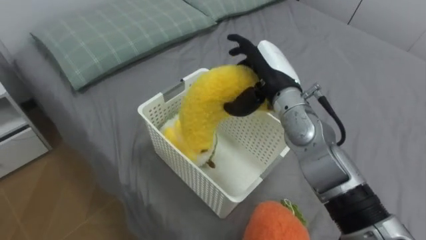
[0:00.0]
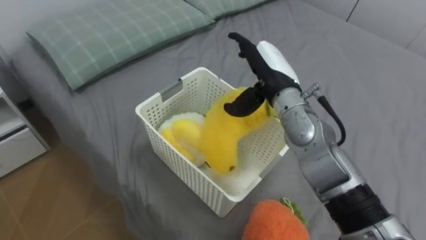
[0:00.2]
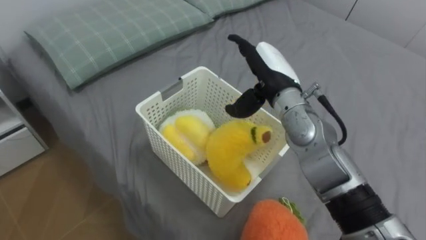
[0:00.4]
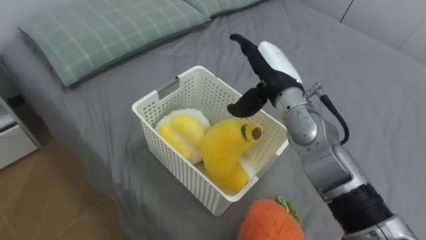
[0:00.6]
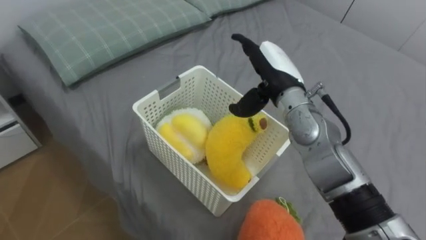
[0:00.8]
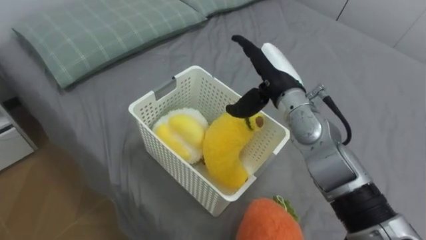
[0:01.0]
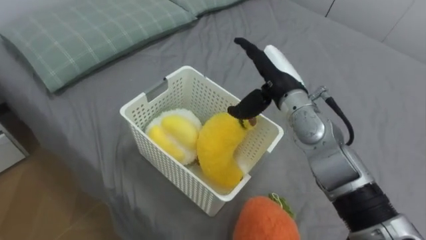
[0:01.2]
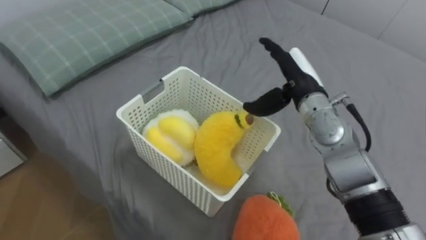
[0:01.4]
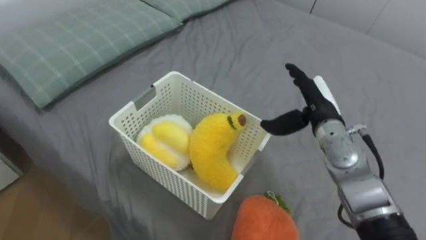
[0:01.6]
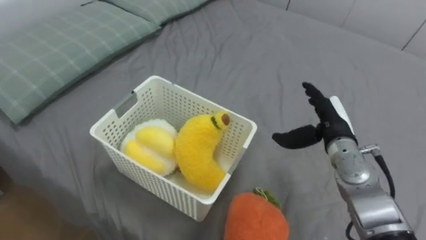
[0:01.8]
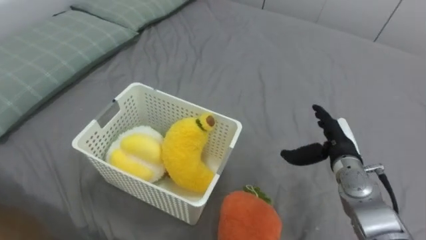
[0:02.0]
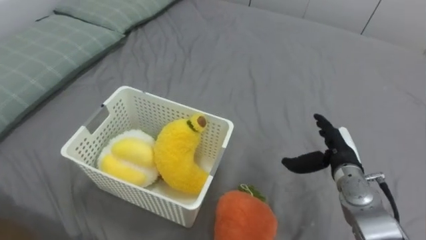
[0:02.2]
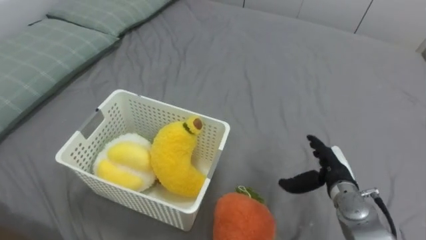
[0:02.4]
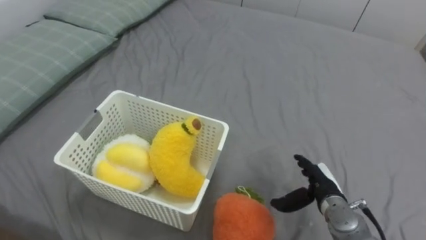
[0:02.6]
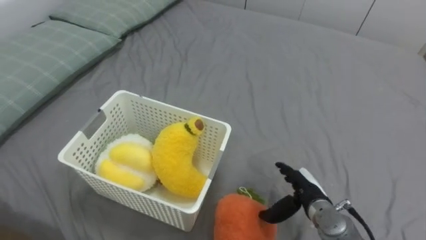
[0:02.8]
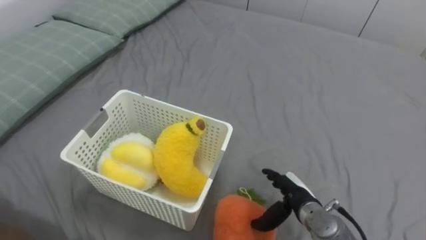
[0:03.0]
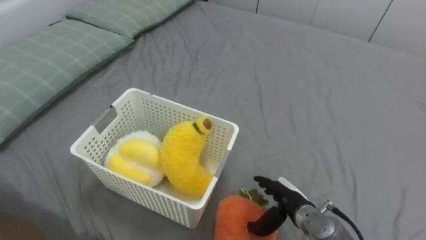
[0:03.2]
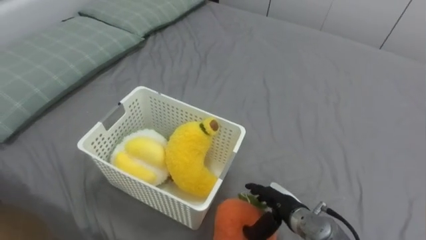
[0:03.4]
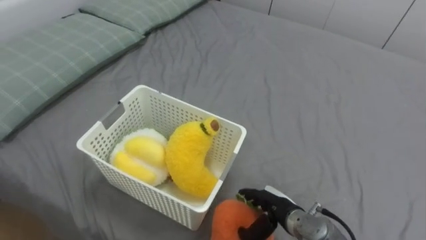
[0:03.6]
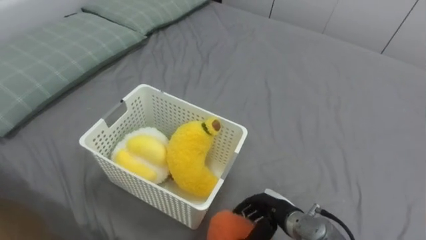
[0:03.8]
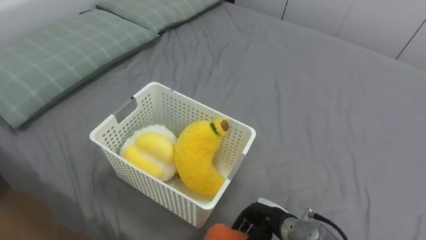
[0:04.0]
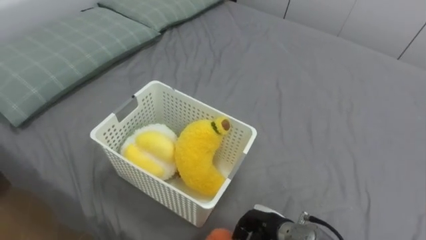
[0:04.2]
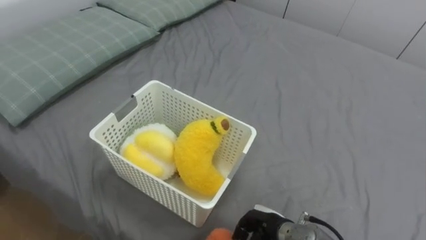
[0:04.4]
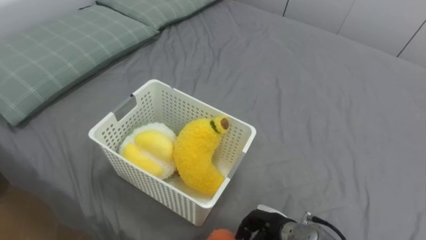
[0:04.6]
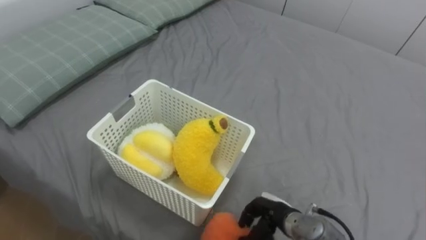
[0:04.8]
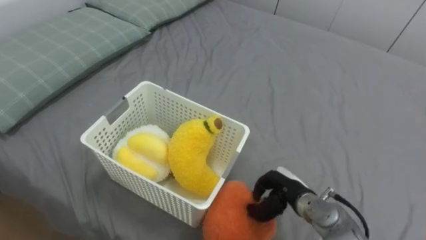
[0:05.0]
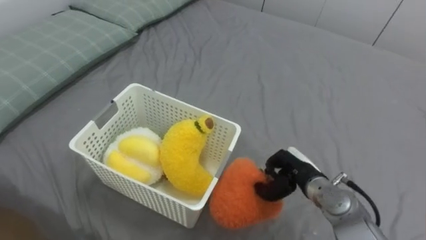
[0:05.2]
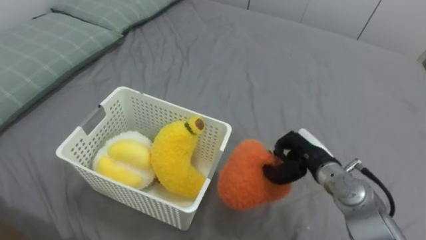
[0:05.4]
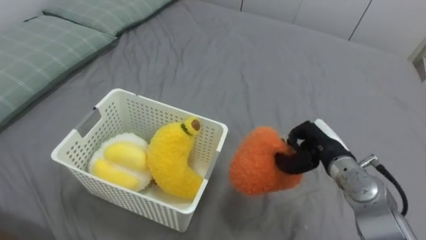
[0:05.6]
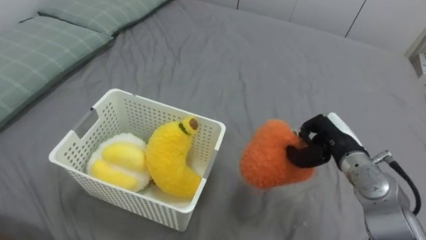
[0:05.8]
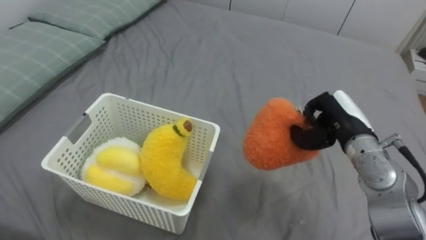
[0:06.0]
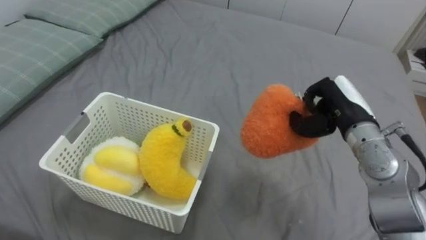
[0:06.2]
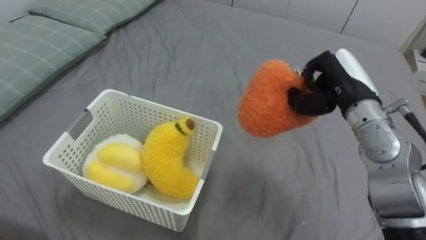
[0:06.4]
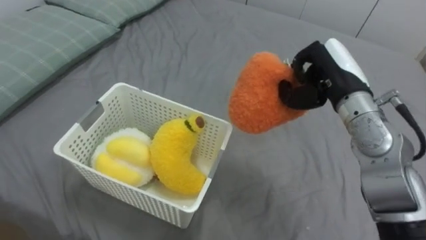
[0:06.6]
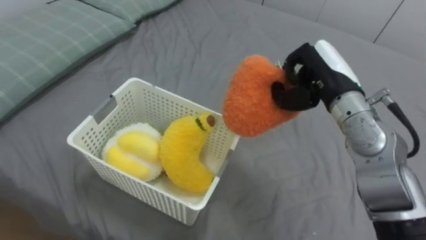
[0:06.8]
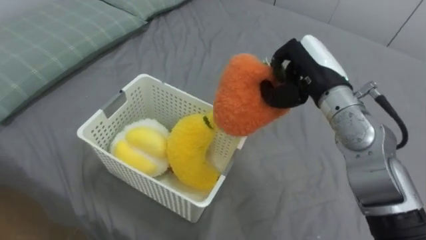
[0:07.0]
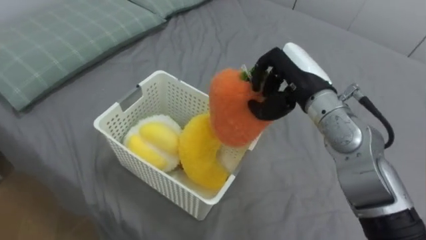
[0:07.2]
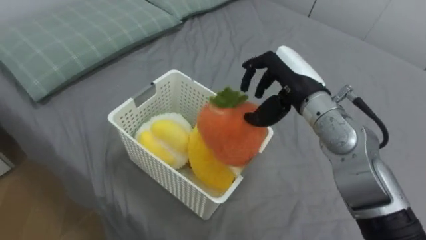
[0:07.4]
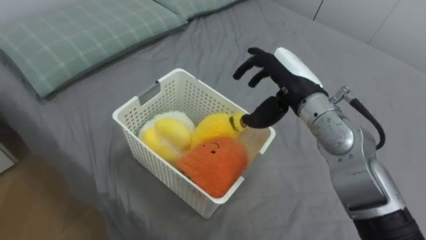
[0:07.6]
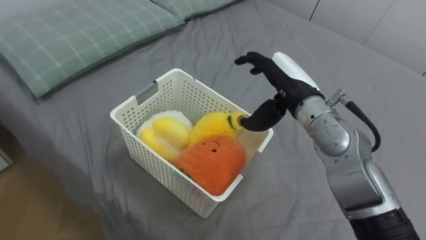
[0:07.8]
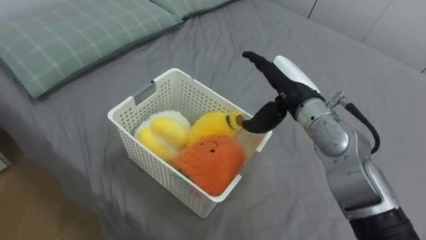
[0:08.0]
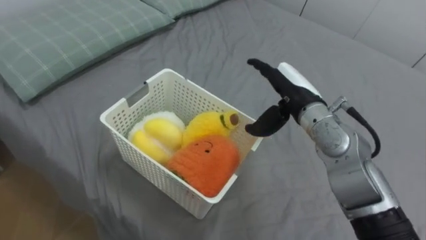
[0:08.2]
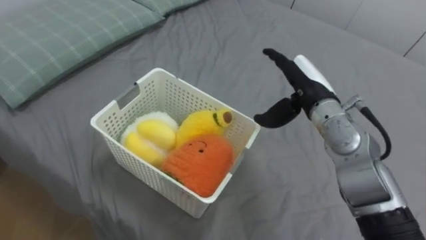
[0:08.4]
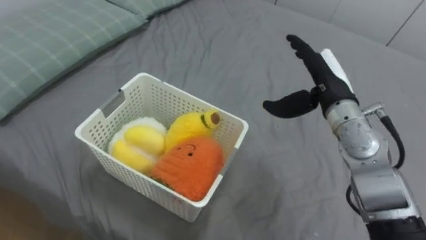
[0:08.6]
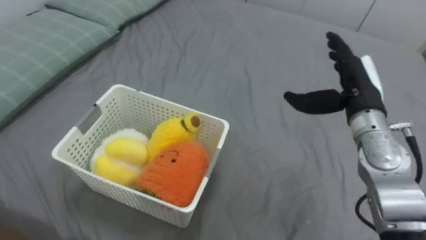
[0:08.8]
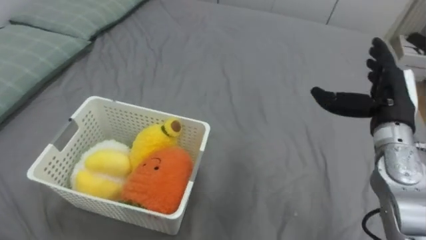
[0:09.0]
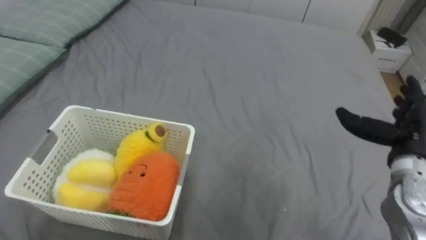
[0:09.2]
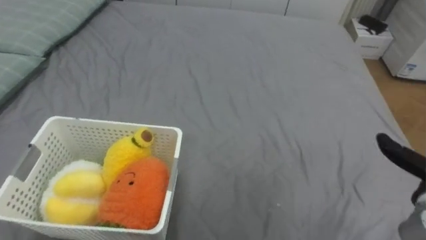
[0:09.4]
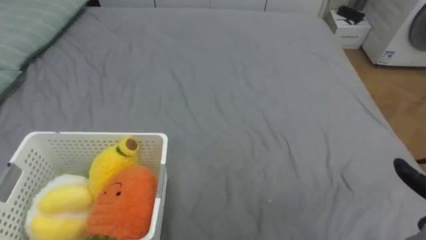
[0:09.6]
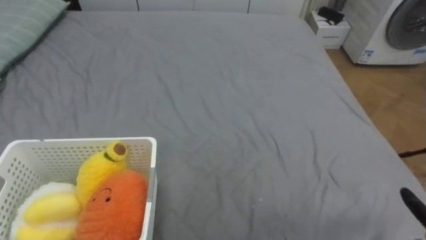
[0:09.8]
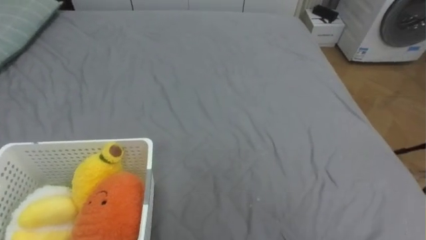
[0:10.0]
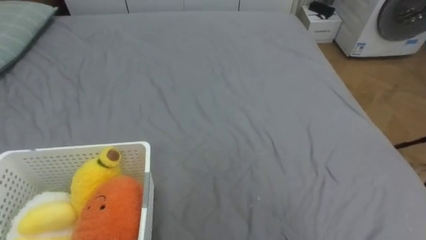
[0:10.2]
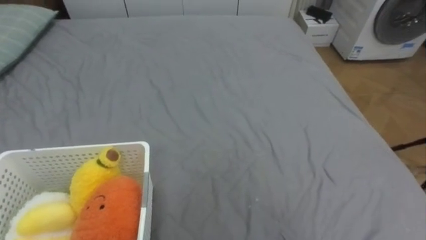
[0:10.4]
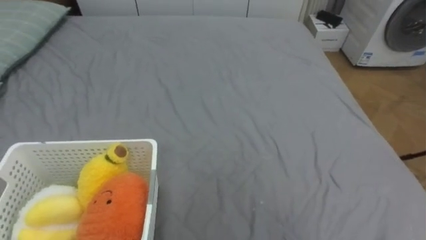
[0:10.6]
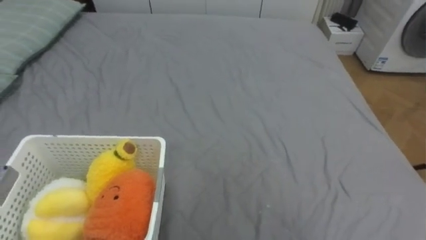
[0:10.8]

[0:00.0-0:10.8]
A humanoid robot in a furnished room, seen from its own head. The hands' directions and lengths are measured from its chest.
Task of the whole recording: Put the toys on the bed into the basket on the left.
0:00.0 to 0:01.6: The right hand shifts approximately 10 cm to the right and downward.
0:01.6 to 0:03.0: The right hand goes approximately 20 cm downward and backward.
0:03.0 to 0:04.6: The right hand travels to the left and backward by roughly 10 cm, and closes its fingers.
0:04.6 to 0:06.2: The right hand is displaced upward, forward and to the right by some 30 cm.
0:06.2 to 0:07.8: The right hand moves to the left, about 10 cm, and opens its fingers.
0:07.8 to 0:09.2: The right hand goes about 20 cm to the right.

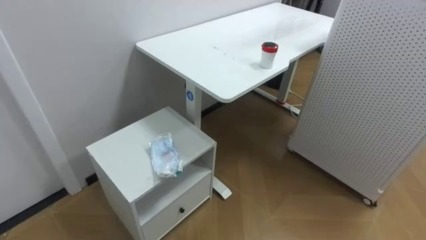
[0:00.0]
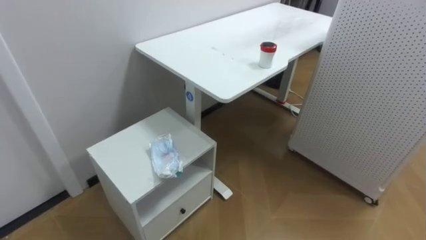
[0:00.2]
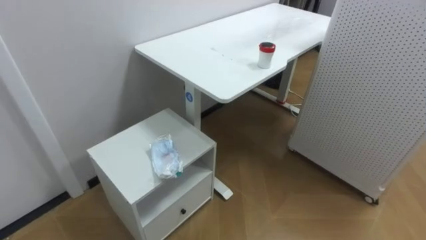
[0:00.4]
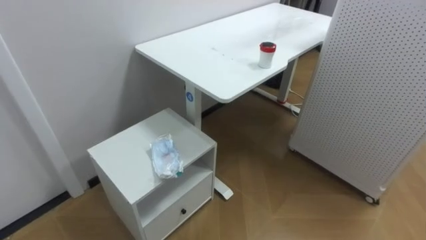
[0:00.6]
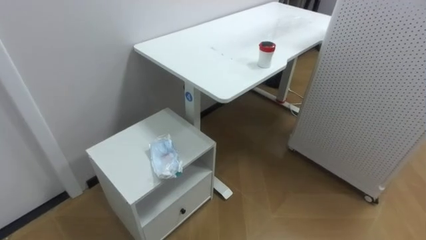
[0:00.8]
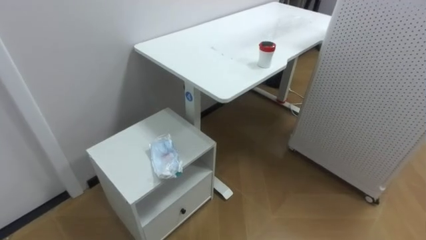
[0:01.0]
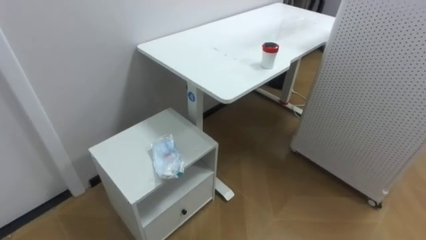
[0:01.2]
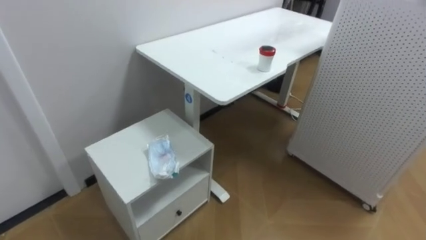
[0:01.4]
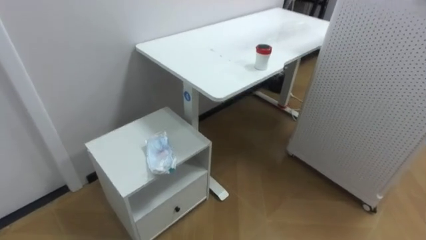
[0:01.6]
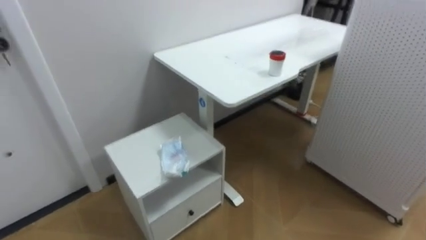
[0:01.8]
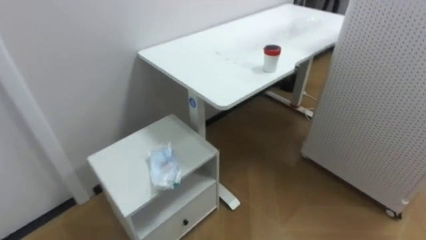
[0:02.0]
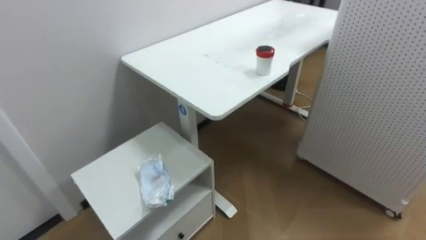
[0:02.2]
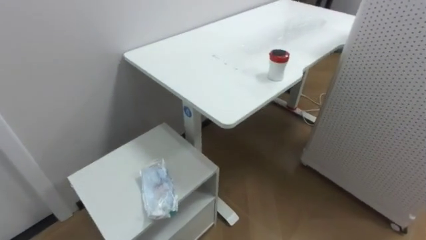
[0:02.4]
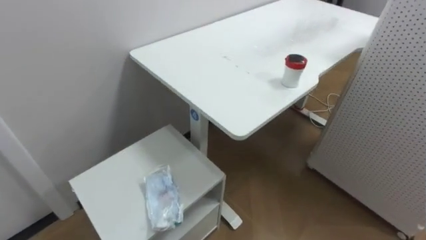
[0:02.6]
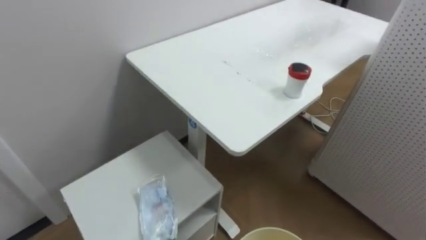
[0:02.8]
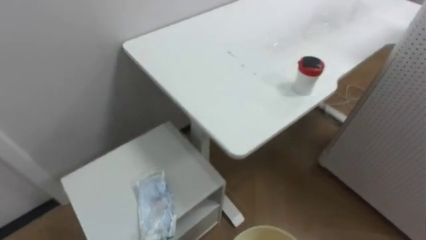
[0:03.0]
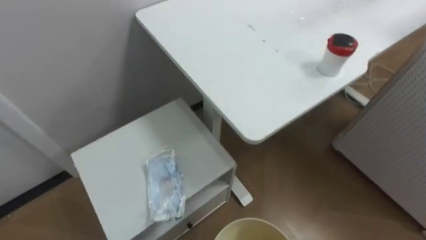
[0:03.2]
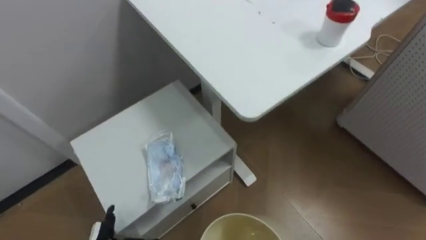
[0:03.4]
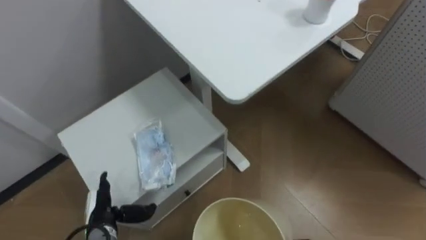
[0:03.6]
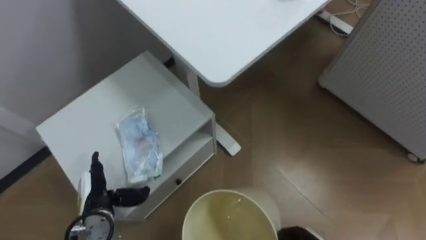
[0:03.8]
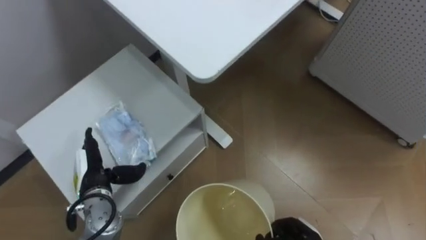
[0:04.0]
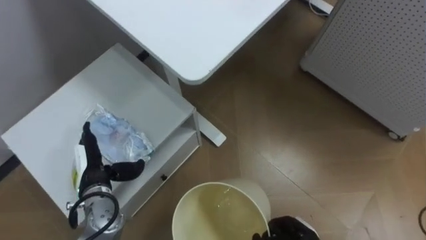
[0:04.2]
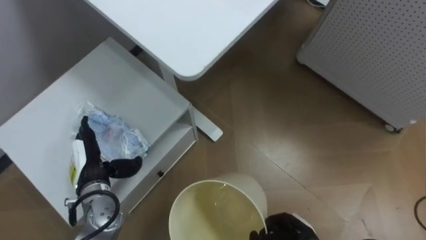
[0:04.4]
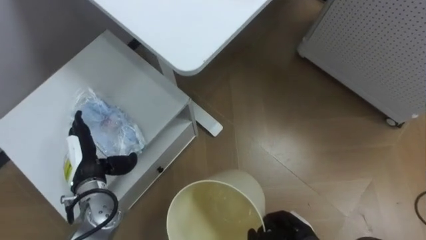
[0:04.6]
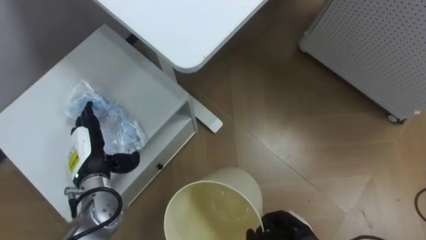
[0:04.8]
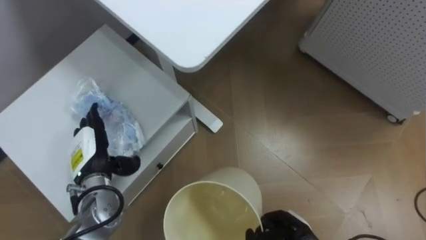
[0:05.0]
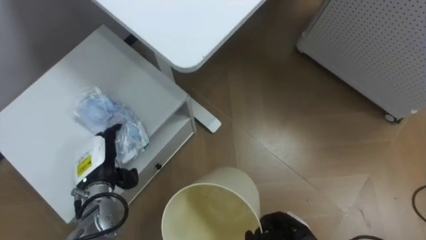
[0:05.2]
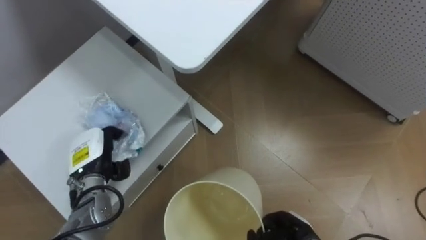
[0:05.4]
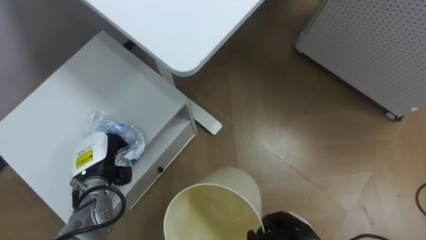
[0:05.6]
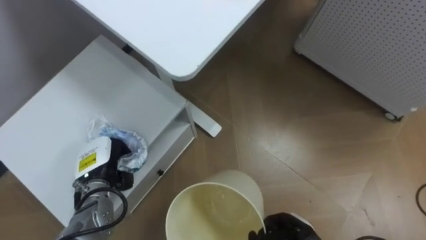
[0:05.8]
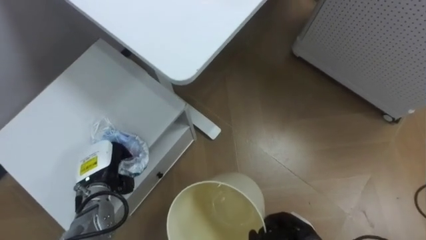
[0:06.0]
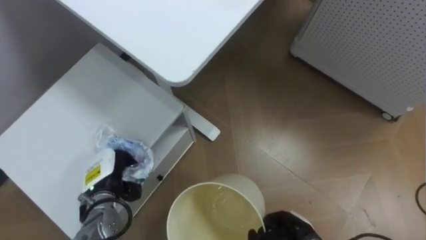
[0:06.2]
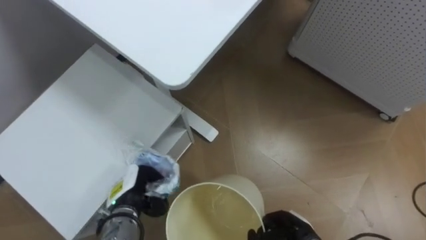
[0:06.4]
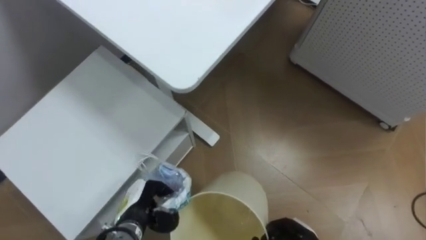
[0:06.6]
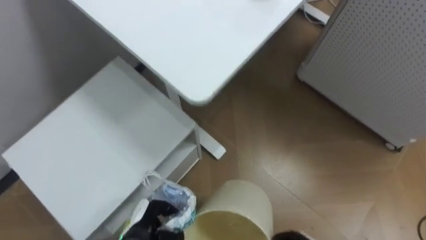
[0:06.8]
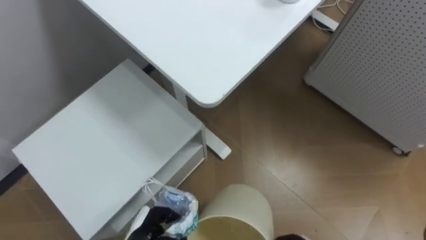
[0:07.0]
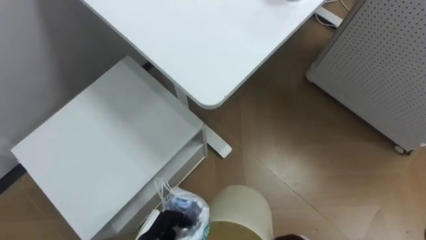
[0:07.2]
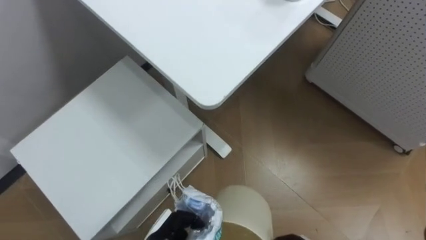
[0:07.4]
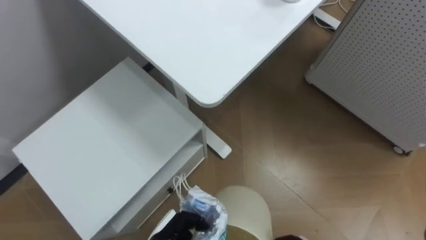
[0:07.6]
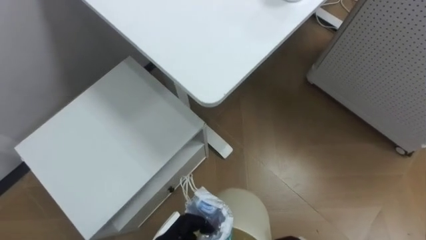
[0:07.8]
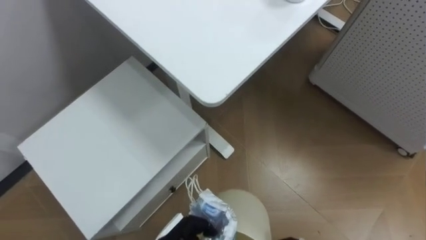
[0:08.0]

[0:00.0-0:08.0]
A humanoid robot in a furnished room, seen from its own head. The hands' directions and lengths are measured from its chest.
Task of the whole recording: Pick up the light blue package, the candy box, and the dark blue package separately, and put them into the trash can held in your right hand.
0:04.8 to 0:06.4: The left hand moves downward and to the right, approximately 10 cm, and closes.
